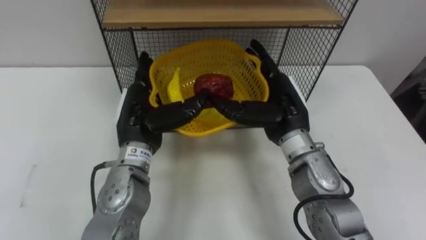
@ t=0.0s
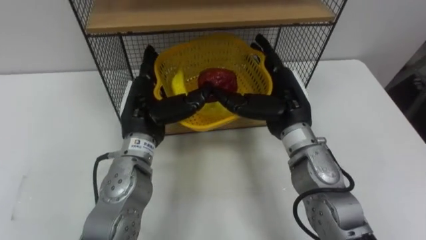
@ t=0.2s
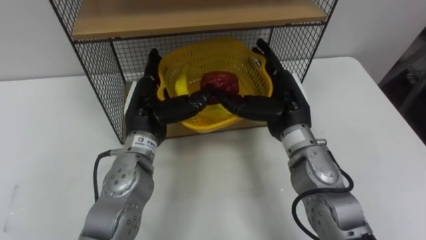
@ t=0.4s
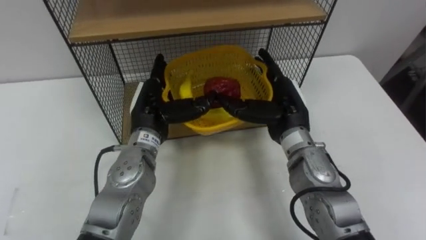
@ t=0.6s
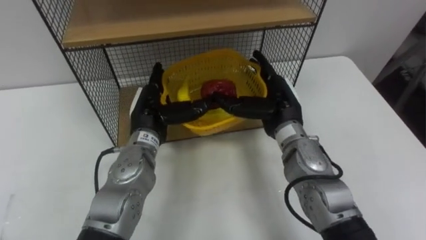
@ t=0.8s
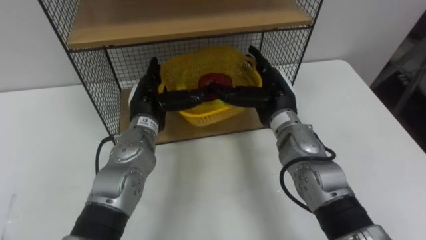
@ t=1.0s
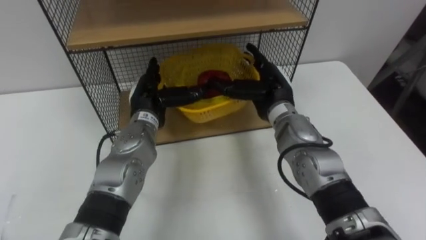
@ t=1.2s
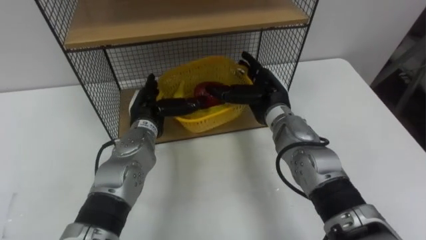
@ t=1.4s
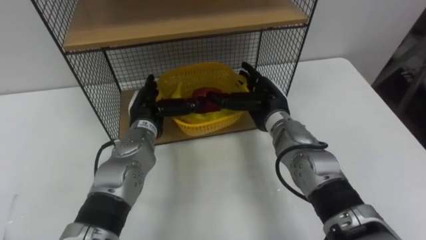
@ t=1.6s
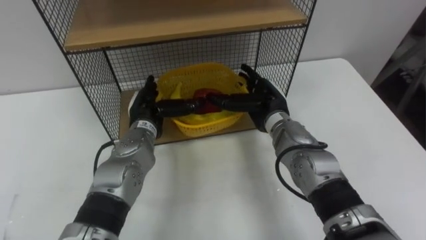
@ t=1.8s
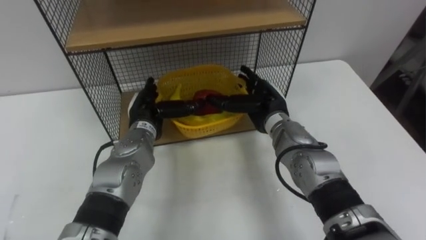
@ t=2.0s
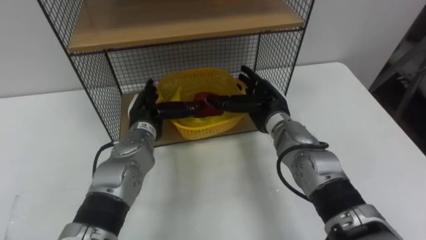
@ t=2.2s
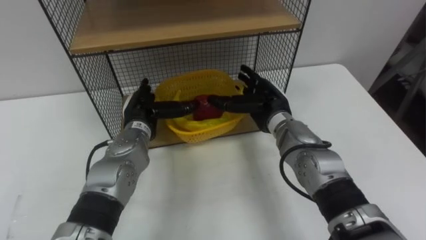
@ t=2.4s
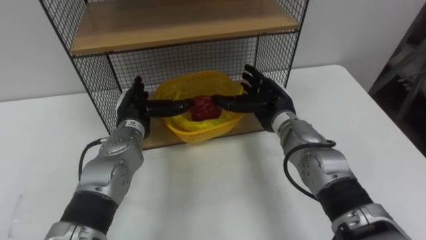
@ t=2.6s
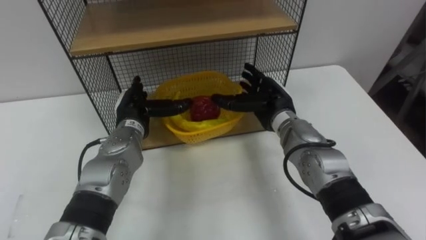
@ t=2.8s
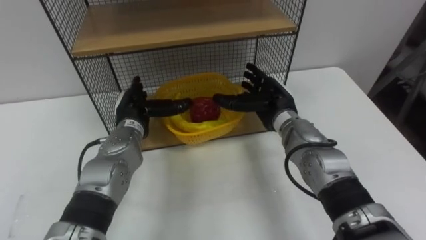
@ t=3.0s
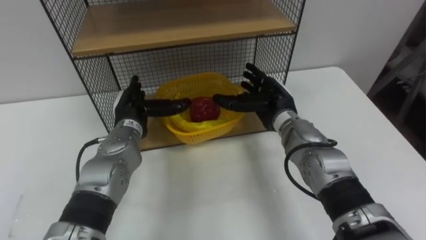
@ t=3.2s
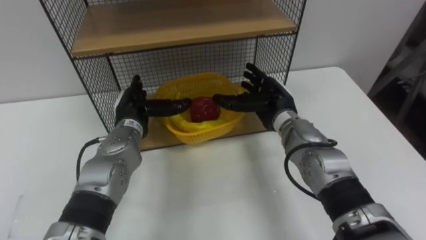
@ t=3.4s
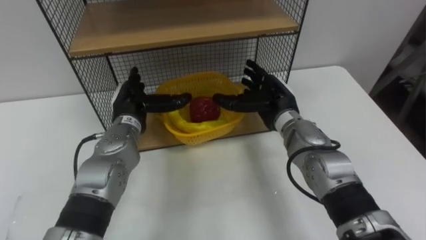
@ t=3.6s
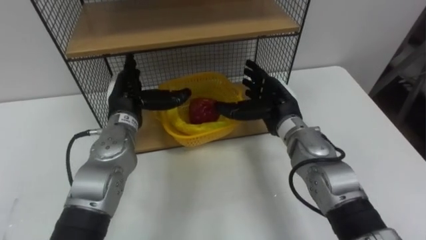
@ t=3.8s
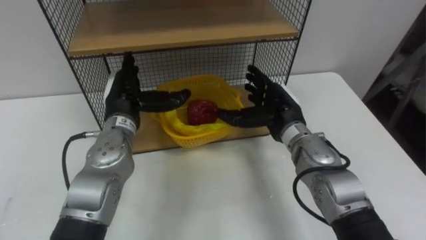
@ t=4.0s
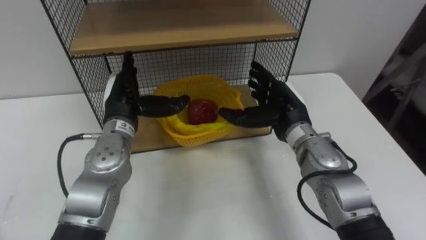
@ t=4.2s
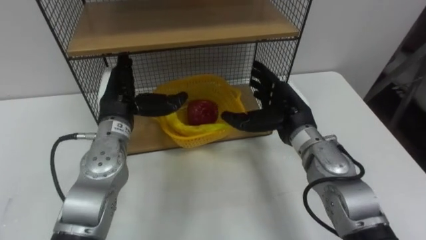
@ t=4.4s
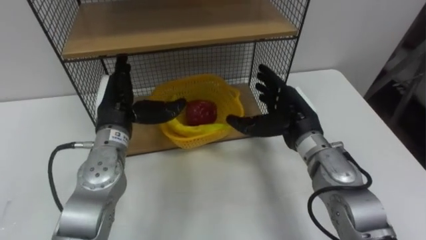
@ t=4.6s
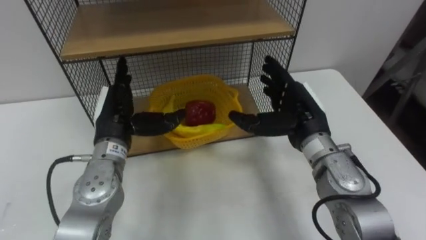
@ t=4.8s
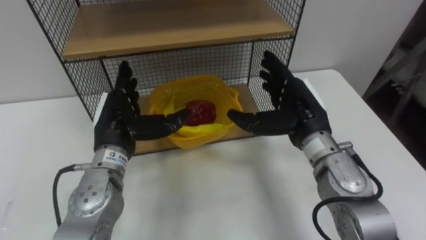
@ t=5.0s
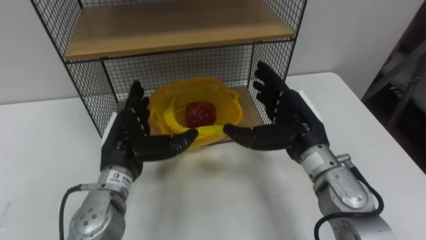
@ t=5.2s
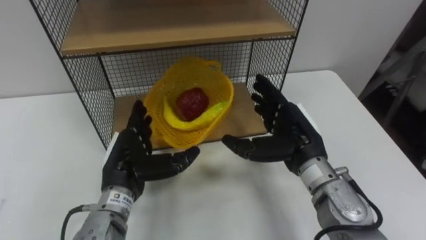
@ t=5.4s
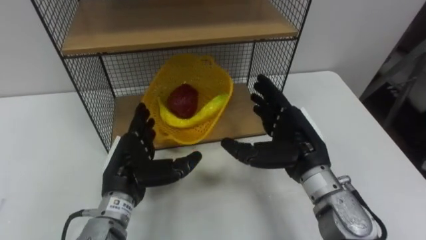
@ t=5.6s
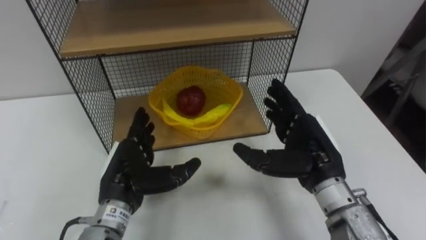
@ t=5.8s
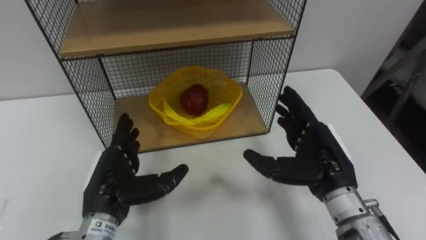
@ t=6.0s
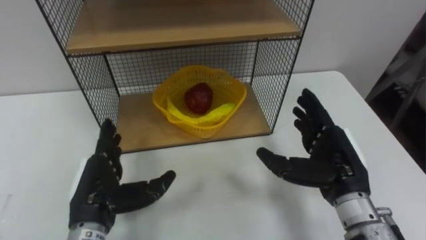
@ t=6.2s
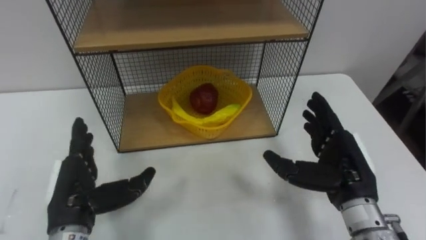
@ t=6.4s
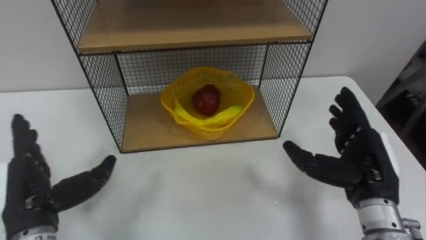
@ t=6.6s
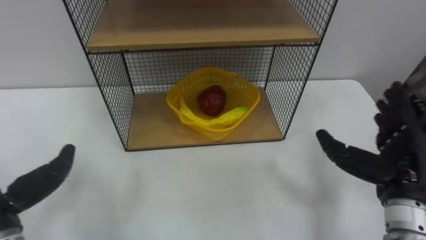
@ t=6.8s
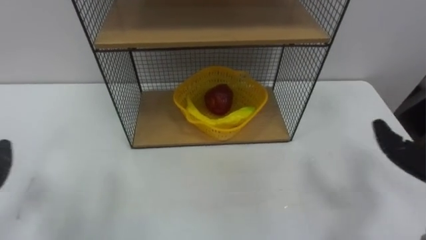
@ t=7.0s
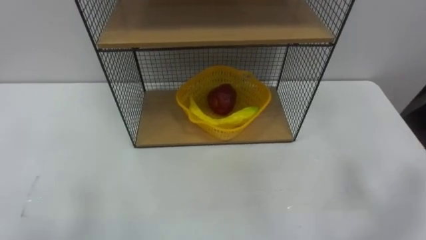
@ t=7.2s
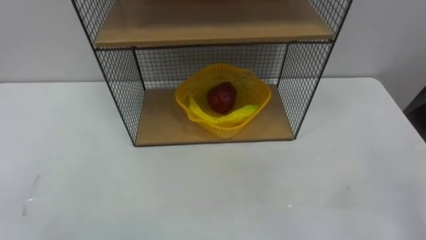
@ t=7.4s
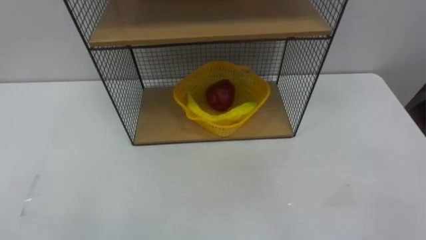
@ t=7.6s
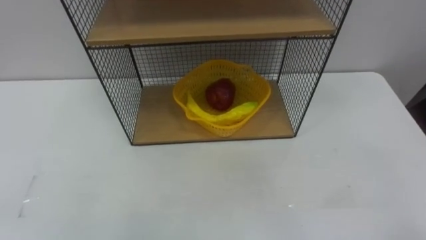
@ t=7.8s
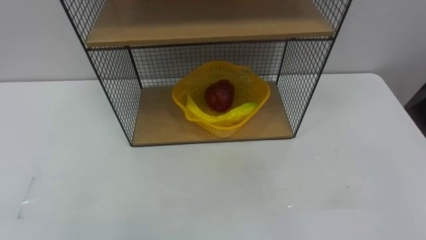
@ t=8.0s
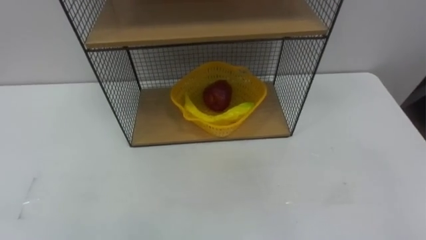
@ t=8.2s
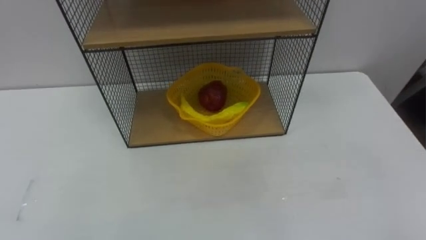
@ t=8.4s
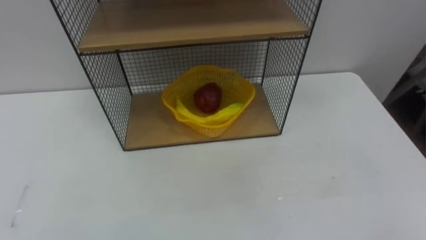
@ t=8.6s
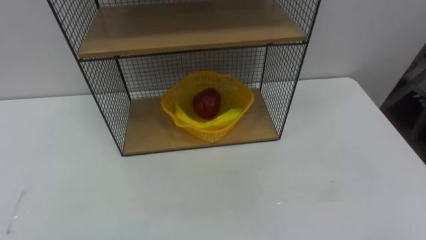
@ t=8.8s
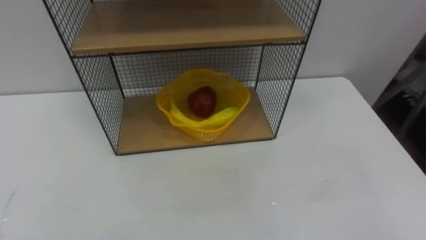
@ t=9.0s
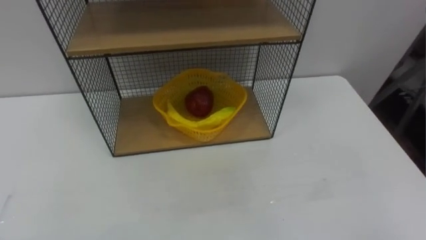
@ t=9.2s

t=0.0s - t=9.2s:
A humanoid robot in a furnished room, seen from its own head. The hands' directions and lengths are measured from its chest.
Task of the whole recording: Put the fruit on the table into the basket, then place the basket on the shelf.
t=0.0s - t=1.6s: The hands both shift forward and downward by about 10 cm.
t=3.0s - t=4.6s: The left hand shifts about 5 cm upward. The right hand shifts some 5 cm backward.
t=4.6s - t=6.2s: The left hand moves backward and downward, approximately 15 cm. The right hand shifts approximately 10 cm backward and to the right.

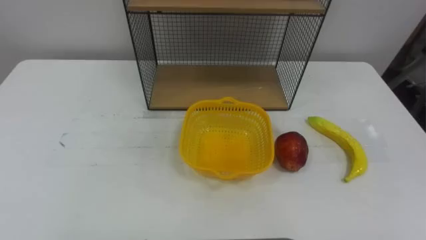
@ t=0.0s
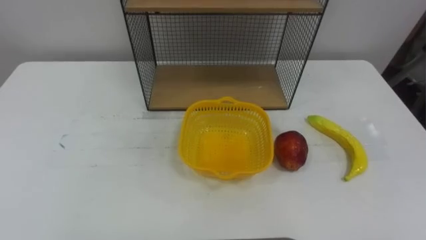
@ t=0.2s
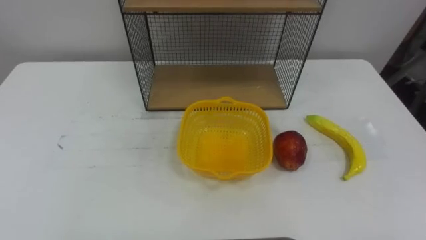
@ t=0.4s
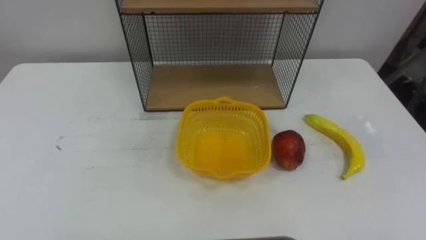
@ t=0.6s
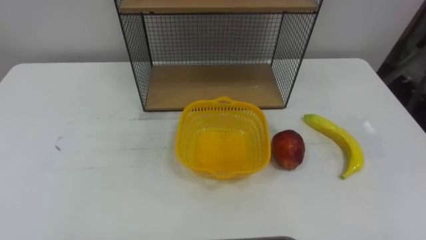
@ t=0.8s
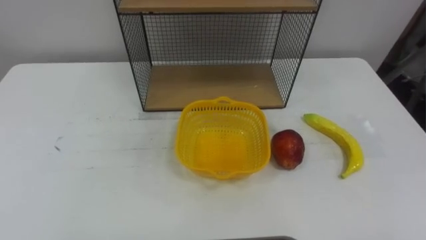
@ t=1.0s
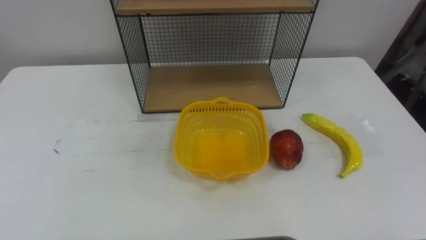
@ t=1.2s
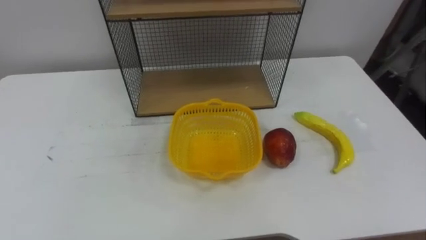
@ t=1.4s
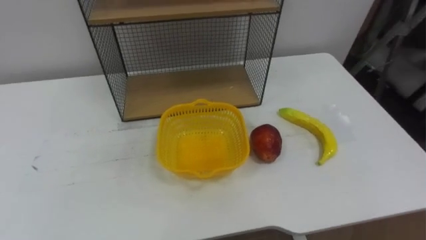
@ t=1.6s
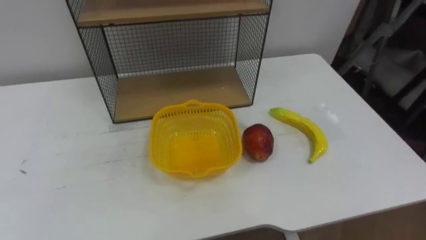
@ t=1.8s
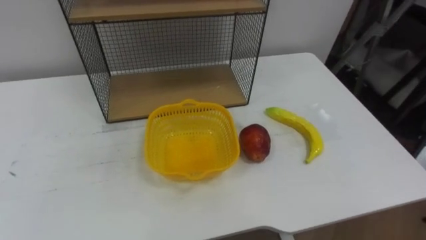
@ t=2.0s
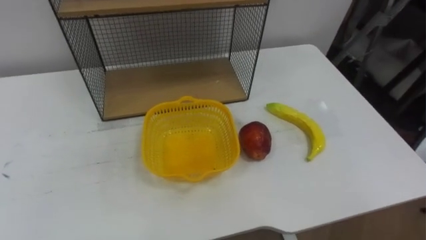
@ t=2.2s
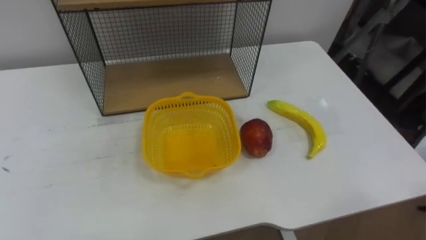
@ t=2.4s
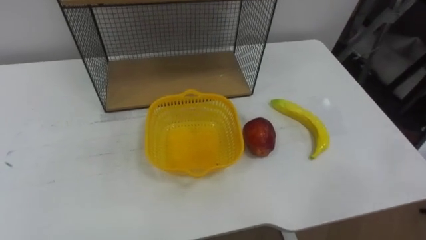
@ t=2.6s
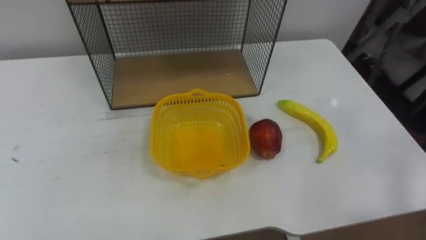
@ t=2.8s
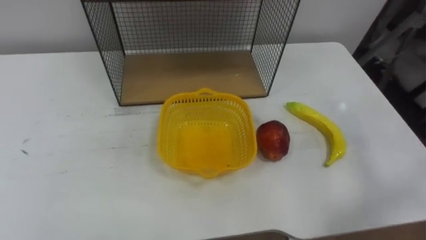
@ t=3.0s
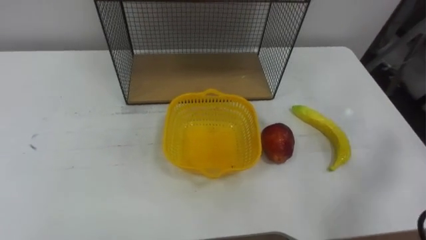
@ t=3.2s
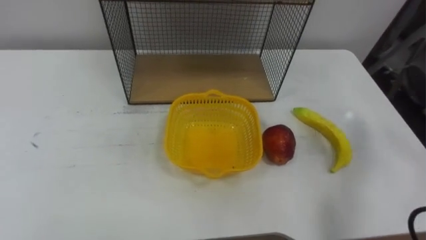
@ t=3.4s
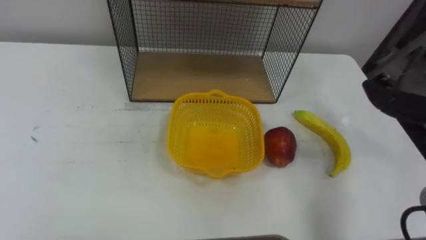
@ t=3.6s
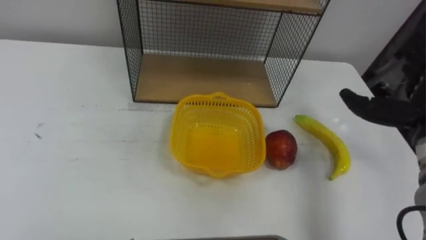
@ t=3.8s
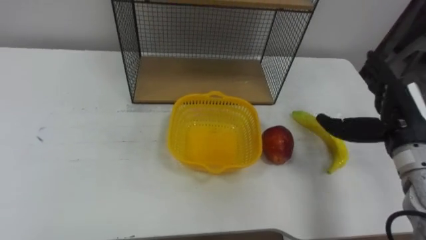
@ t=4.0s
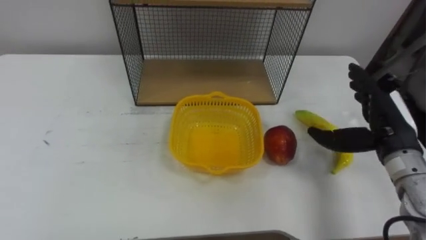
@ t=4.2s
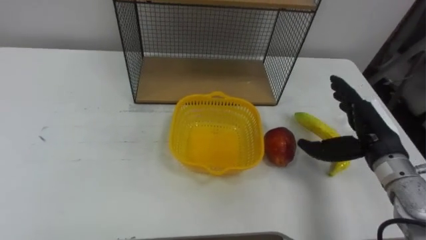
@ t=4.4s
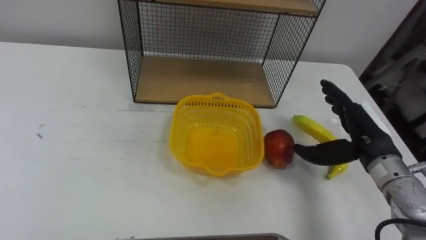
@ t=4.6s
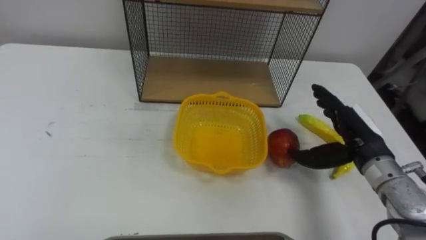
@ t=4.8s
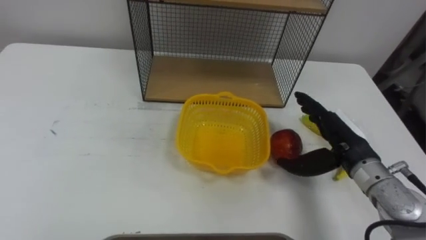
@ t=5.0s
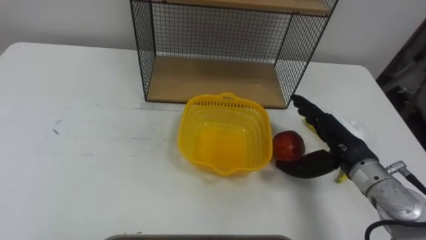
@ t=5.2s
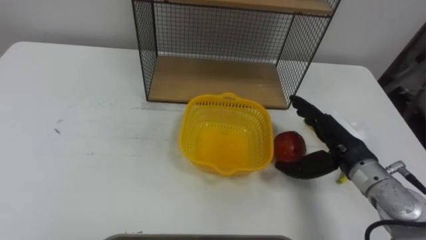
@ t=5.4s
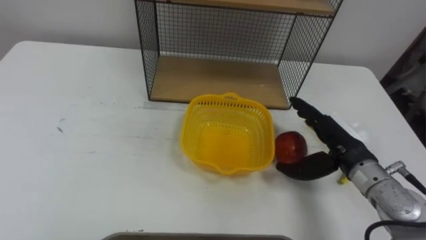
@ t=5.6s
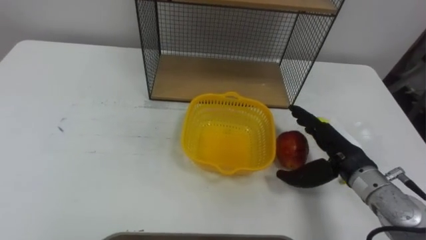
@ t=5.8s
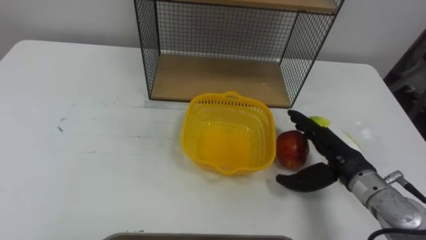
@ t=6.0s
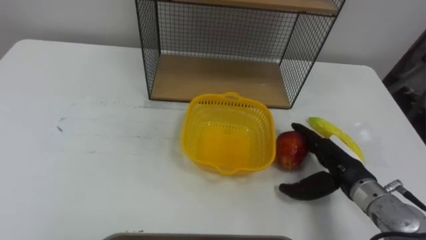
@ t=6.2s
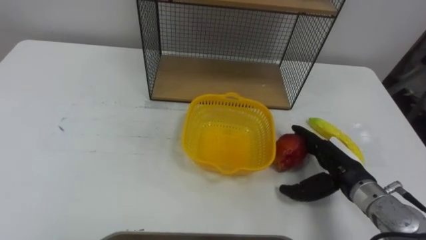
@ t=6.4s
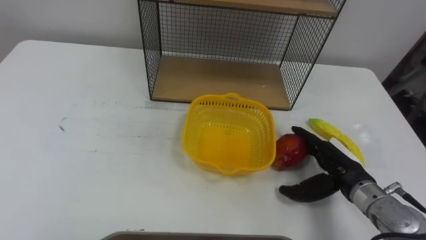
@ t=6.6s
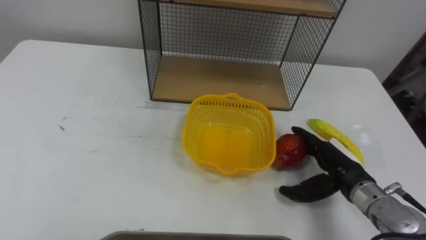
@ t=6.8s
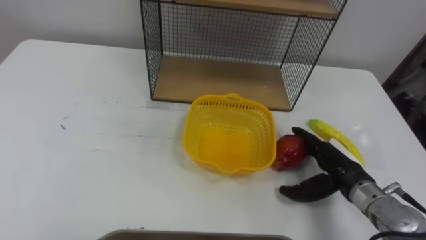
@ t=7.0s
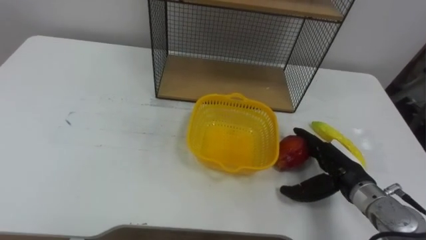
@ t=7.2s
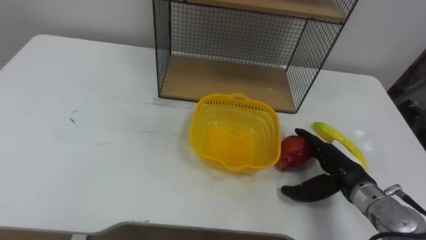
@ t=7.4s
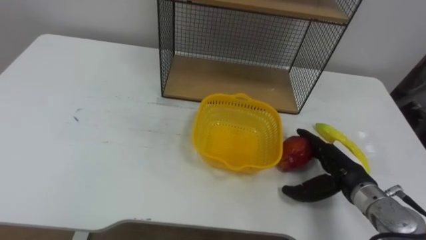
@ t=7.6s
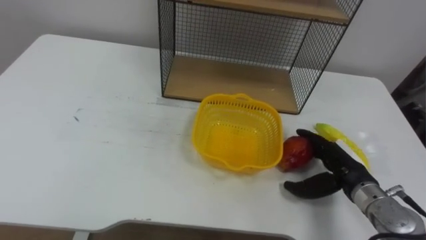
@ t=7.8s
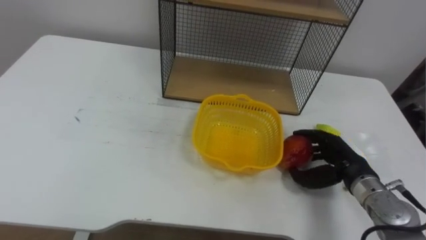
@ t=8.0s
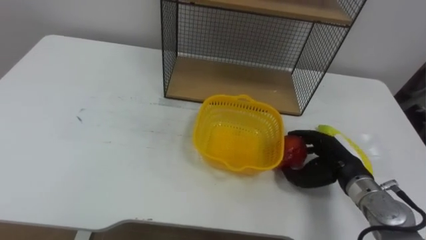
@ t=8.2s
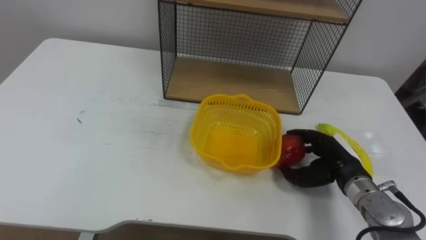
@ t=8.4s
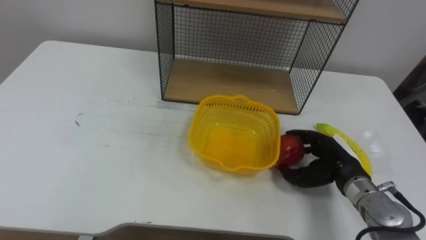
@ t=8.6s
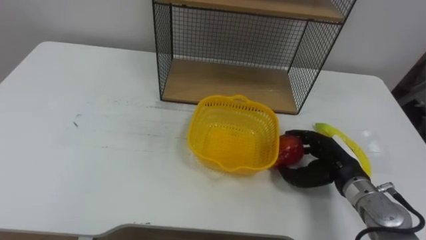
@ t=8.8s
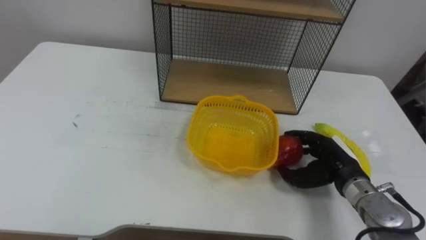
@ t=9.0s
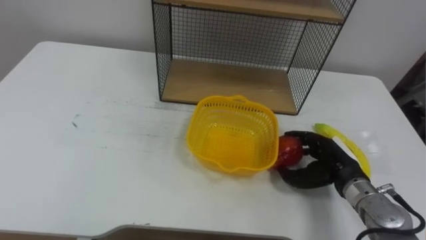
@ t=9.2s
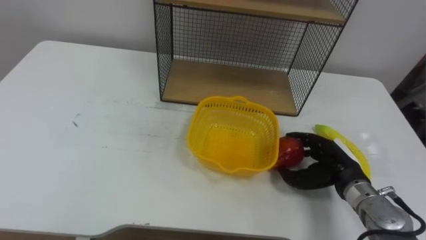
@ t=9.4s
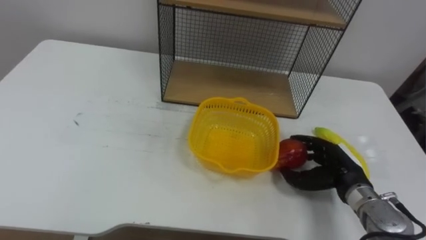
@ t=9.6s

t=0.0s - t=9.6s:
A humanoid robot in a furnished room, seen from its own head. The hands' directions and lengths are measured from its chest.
Task of the whole recording: Put the fruit on the table into the basket, then place the basket on the shelf.
t=4.8s - t=6.4s: The right hand heads downward, covering approximately 5 cm.
t=6.4s - t=8.0s: The right hand closes.
